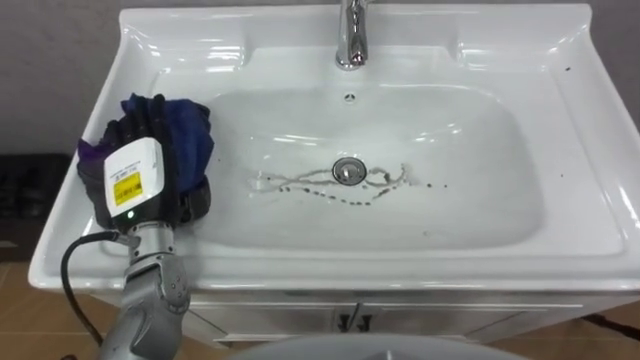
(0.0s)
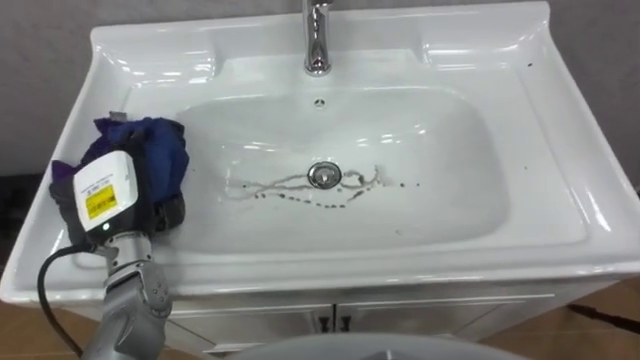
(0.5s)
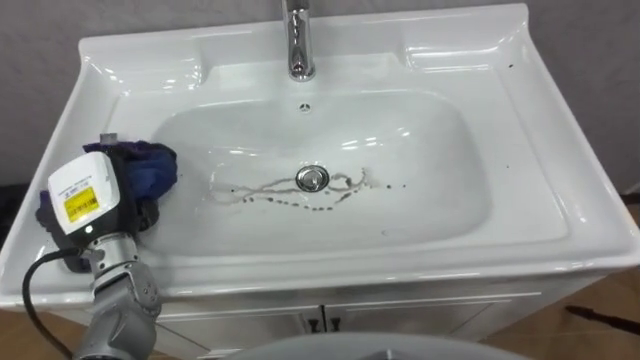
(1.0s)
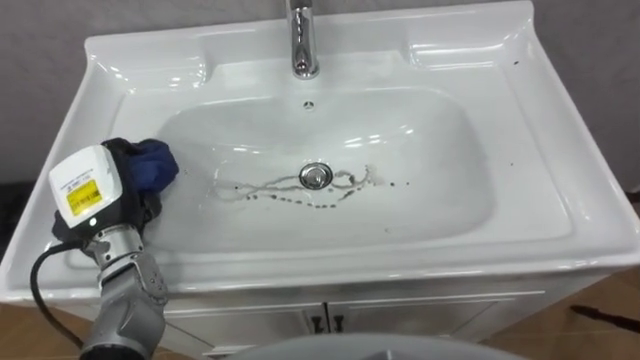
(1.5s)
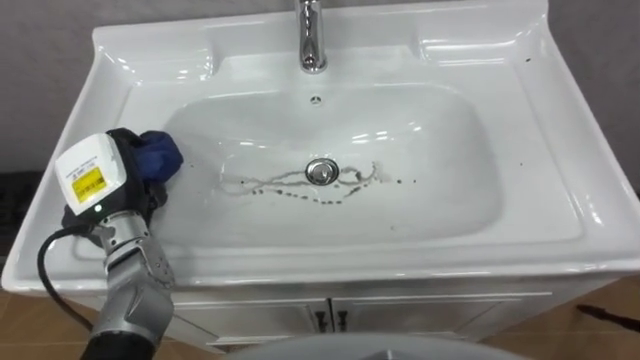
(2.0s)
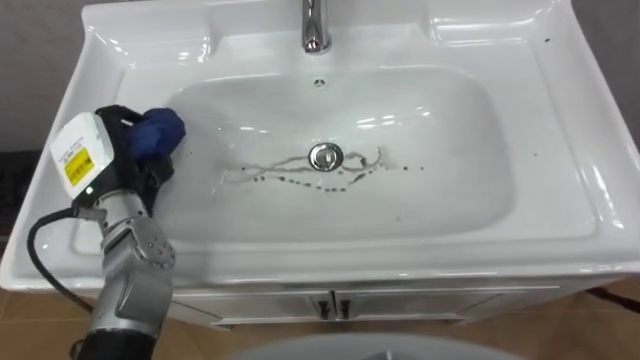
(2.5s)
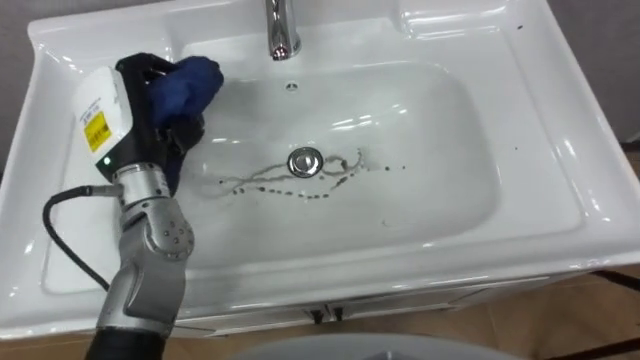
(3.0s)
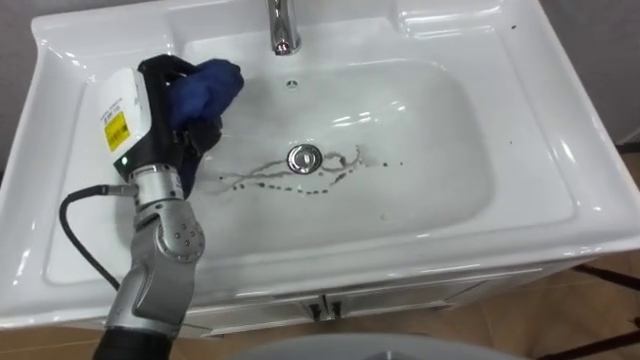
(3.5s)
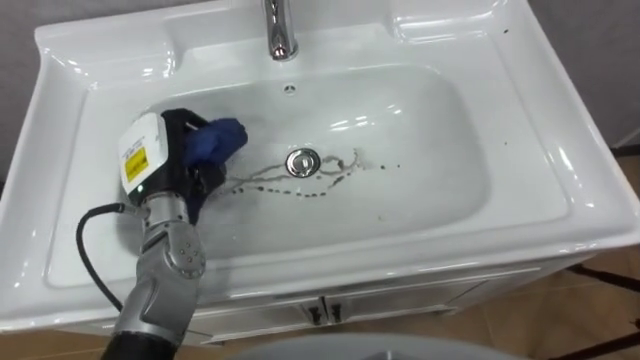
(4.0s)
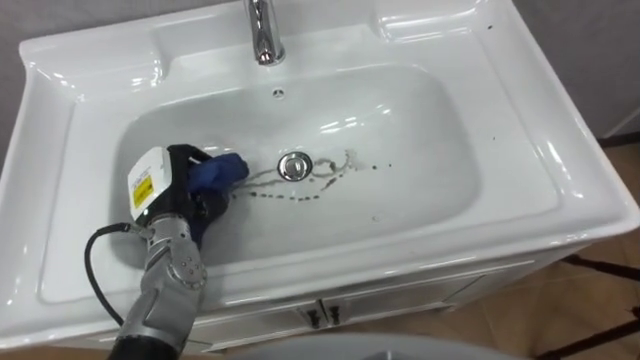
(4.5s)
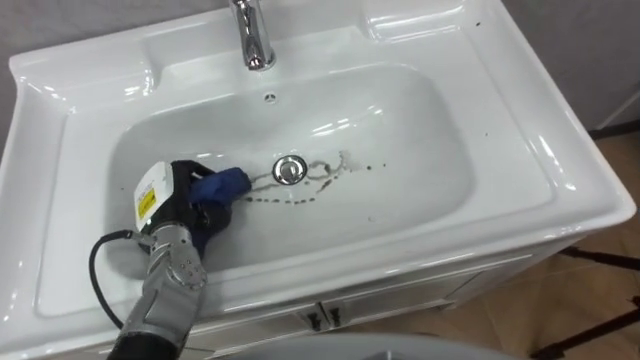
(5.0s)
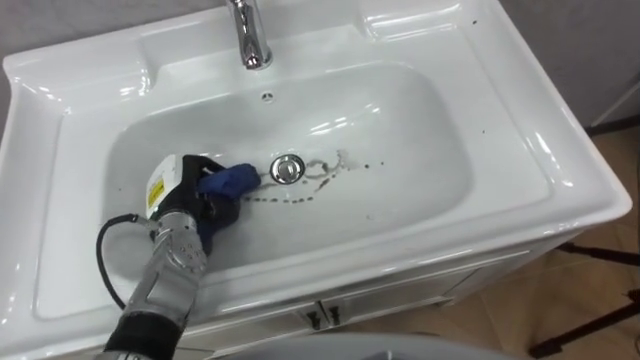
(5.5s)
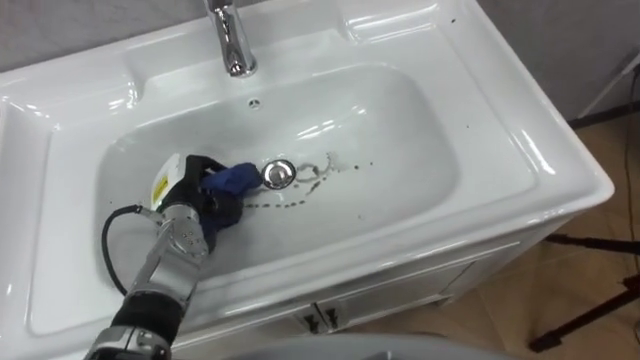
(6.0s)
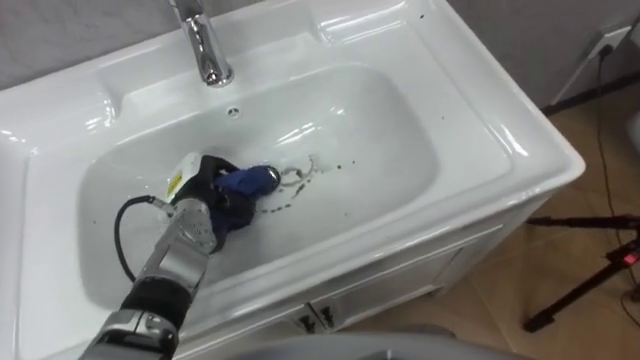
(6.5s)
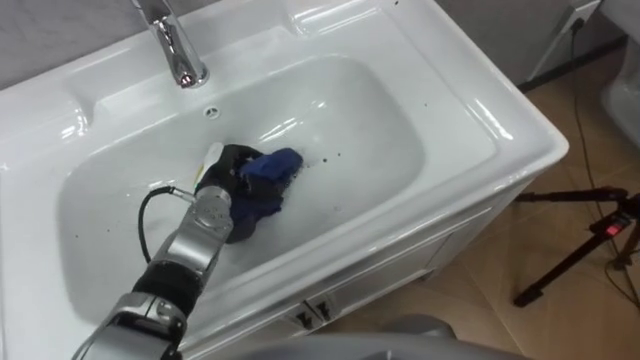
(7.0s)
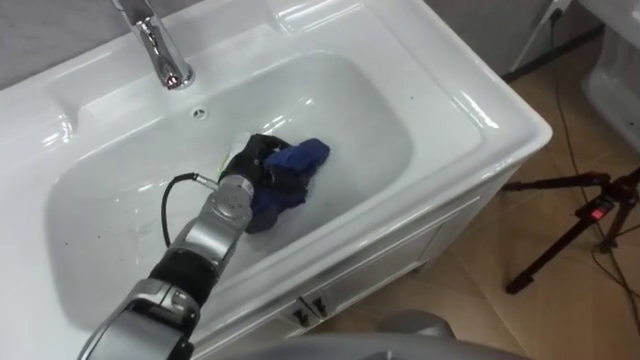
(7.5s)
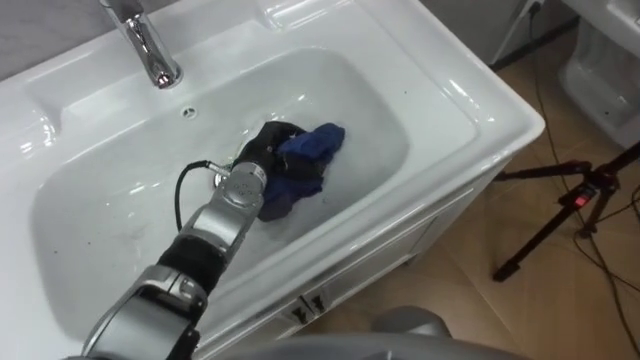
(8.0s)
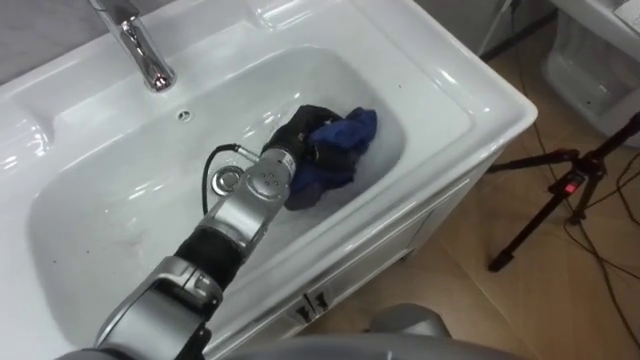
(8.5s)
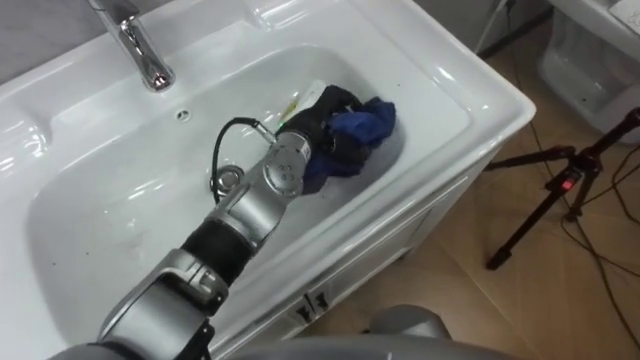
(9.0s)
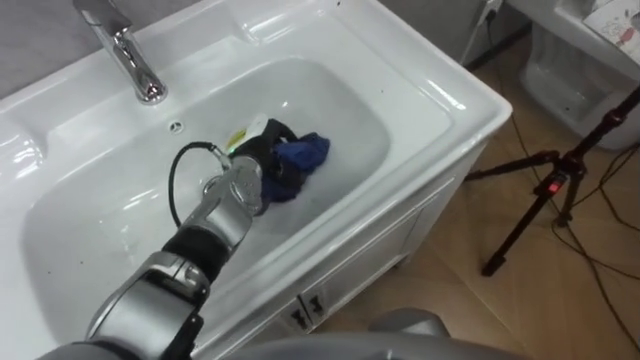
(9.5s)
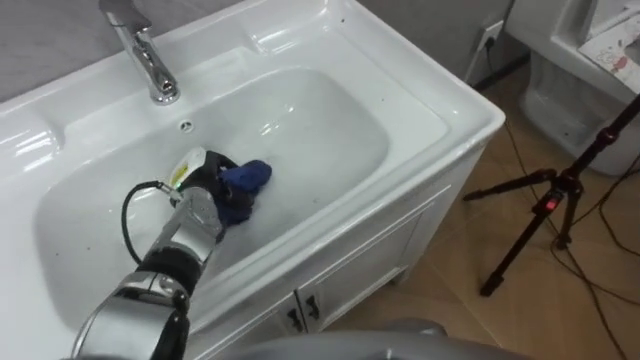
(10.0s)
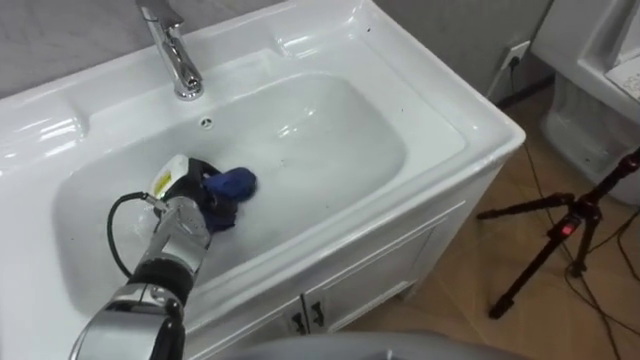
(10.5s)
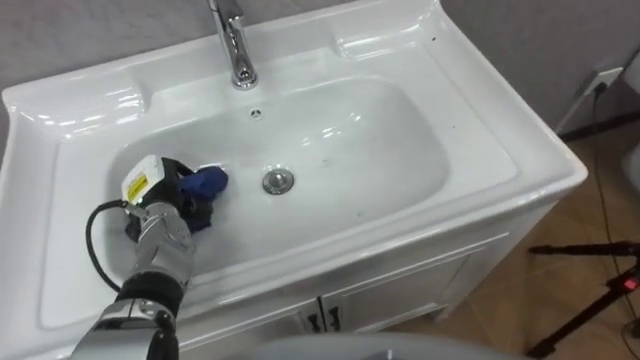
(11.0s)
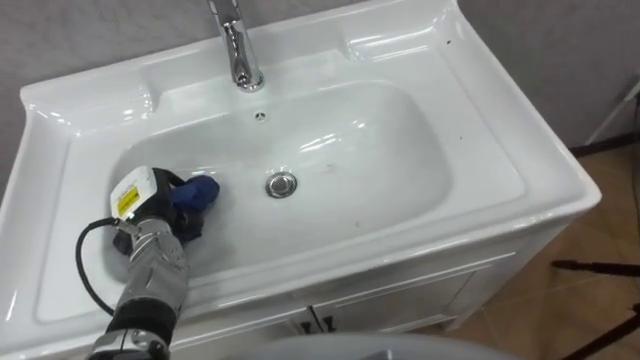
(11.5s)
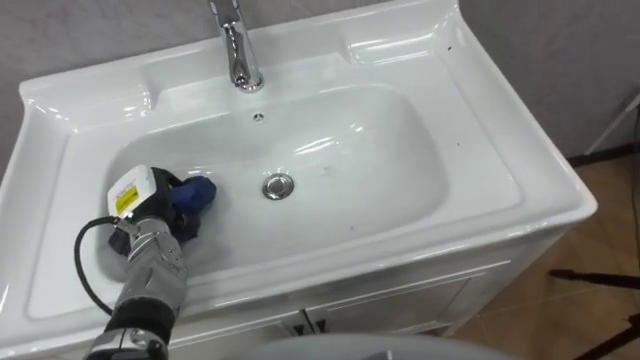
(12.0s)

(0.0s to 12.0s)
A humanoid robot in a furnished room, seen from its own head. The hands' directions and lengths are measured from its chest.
Task of the whole recording: Use the cloth on the right to wipe away the black stain in the sink.
0.0s - 2.0s: The left hand closes.
2.0s - 4.0s: The left hand heads to the right, covering about 5 cm, and travels upward and back again, about 10 cm each way.
4.0s - 6.0s: The left hand heads downward, covering some 10 cm.
6.0s - 8.0s: The left hand goes roughly 15 cm to the right and forward.
8.0s - 10.0s: The left hand is displaced to the left by about 10 cm.
10.0s - 12.0s: The left hand is displaced to the left and backward by about 10 cm.

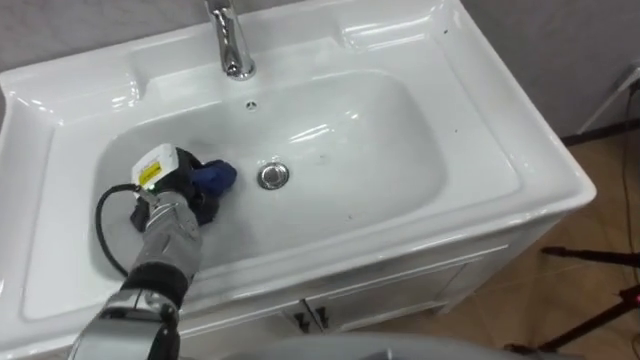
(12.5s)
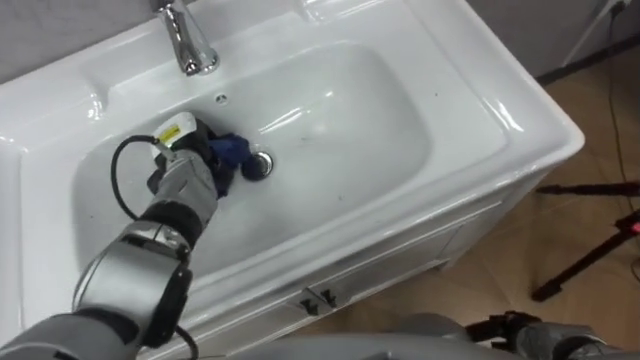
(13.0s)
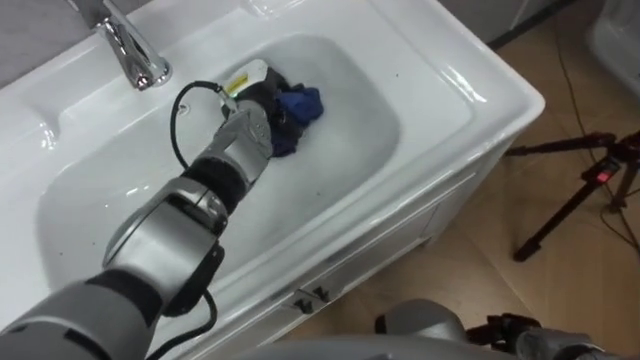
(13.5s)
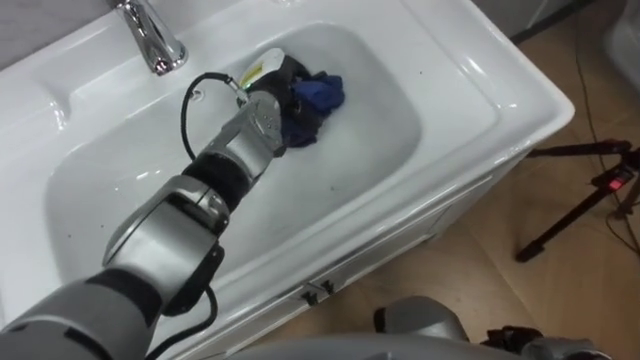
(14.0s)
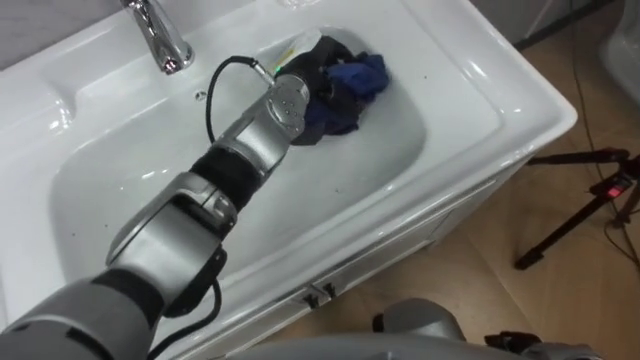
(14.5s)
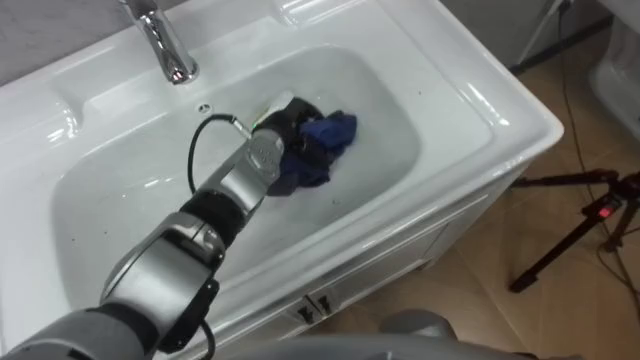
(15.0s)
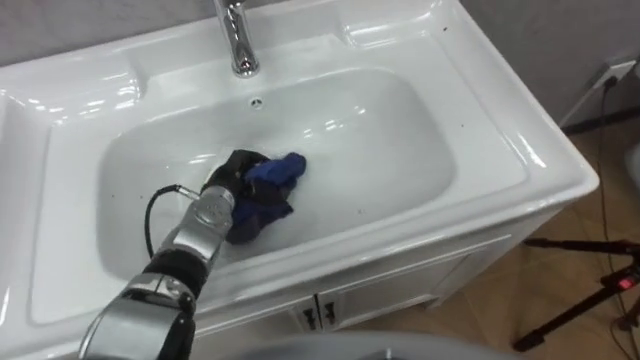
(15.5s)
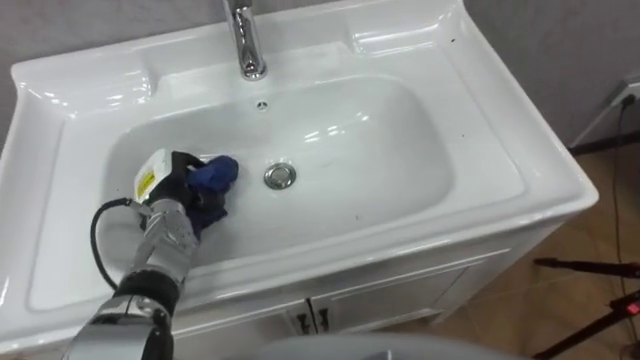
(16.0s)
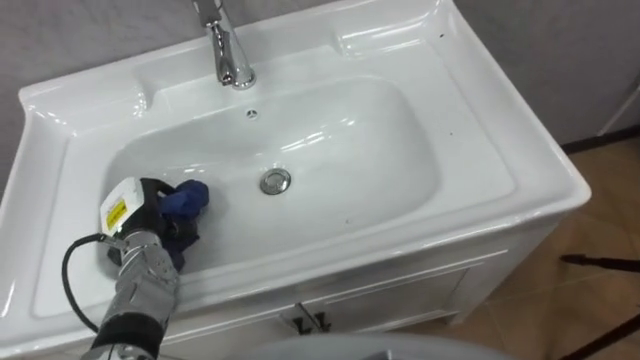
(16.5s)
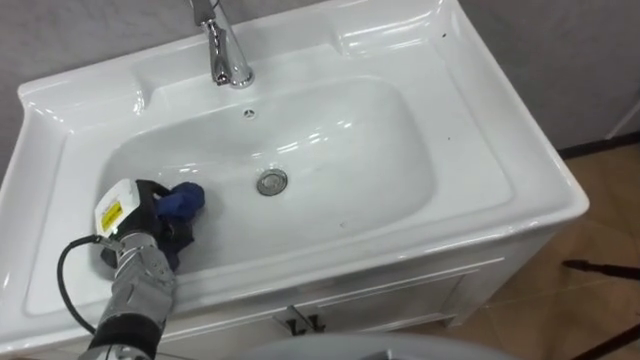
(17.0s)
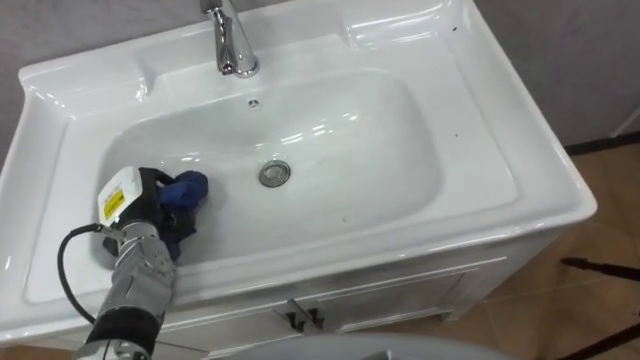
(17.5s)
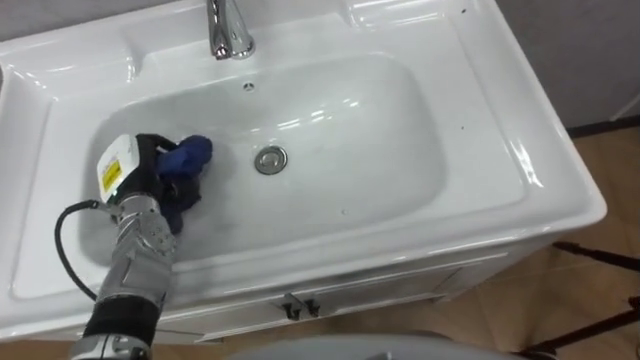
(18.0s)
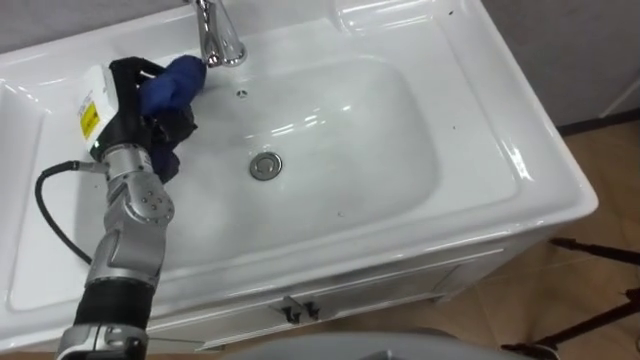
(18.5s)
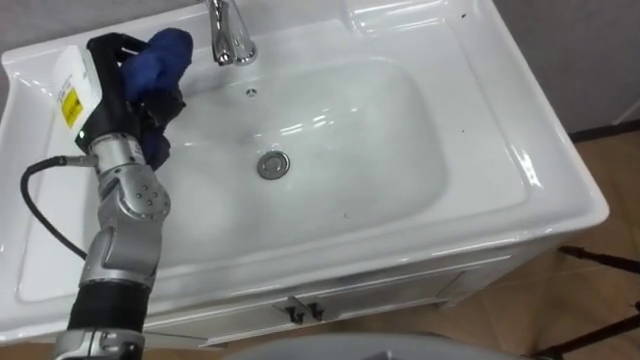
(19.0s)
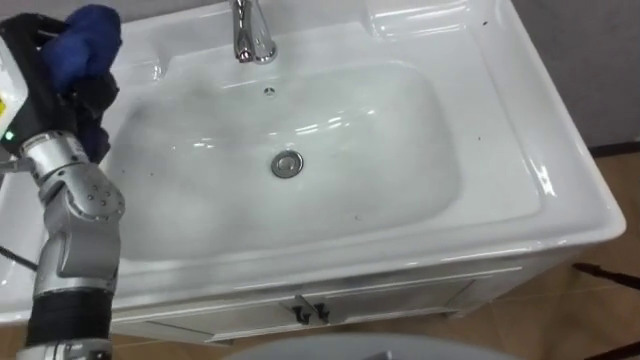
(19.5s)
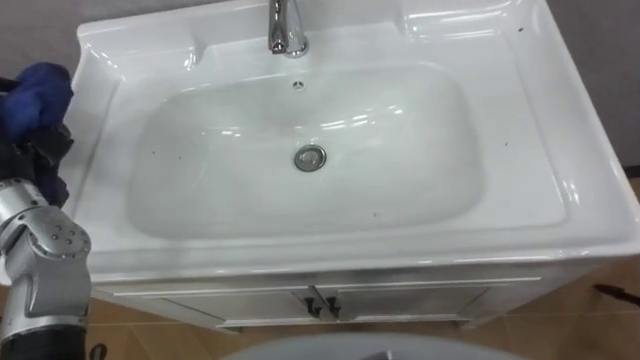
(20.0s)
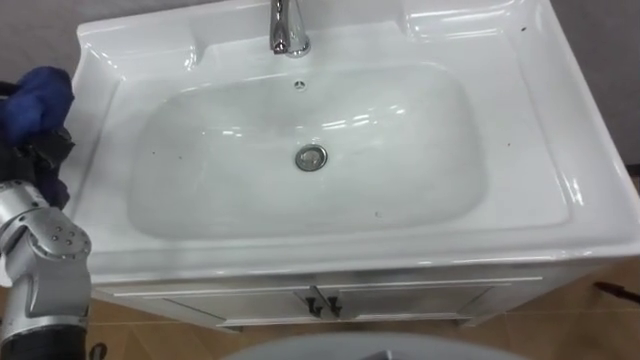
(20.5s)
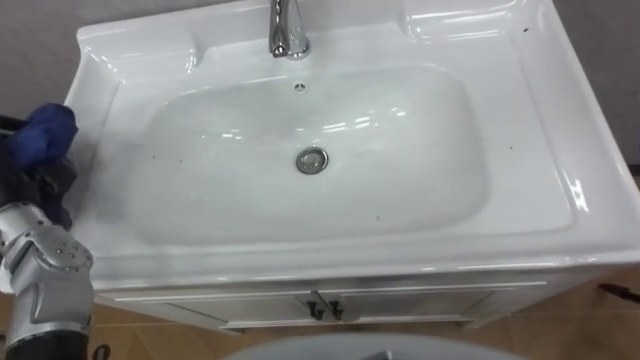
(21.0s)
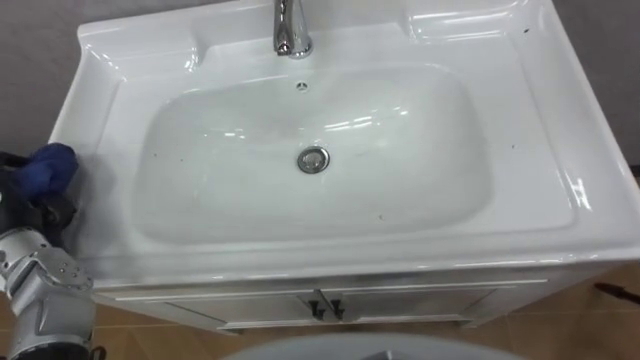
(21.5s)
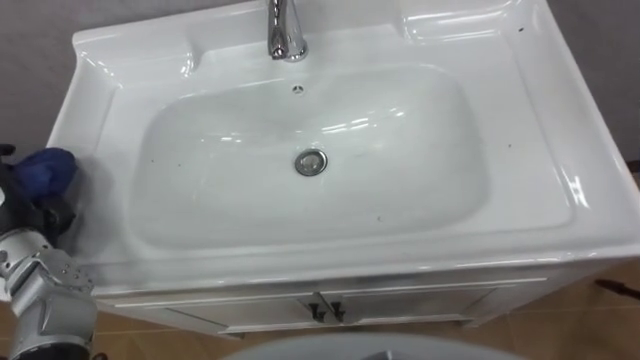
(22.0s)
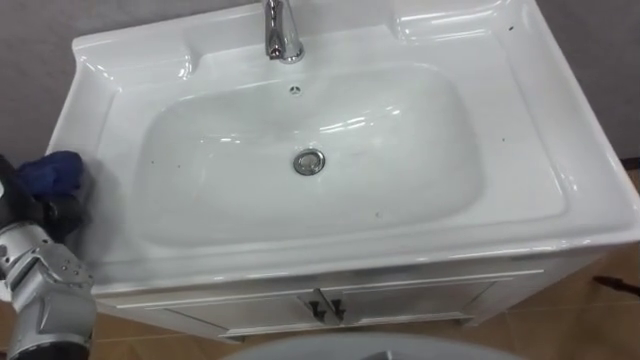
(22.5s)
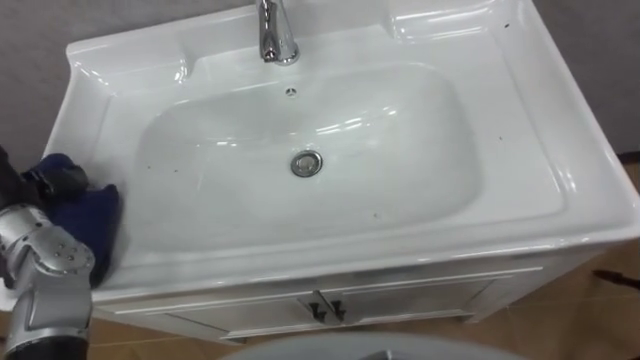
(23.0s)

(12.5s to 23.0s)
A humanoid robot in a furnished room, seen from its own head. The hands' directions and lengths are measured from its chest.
Task of the whole recording: Use the cloth on the right to wipe away the black stain in the sink.
12.5s - 14.5s: The left hand is displaced to the right, upward and forward by roughly 30 cm.
14.5s - 16.5s: The left hand is displaced to the left, backward and downward by some 35 cm.
16.5s - 19.0s: The left hand heads upward and forward, covering some 20 cm.
